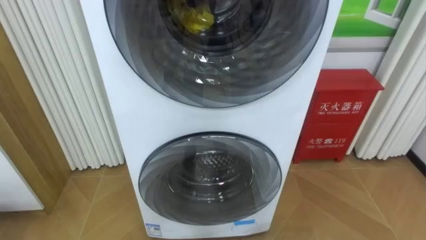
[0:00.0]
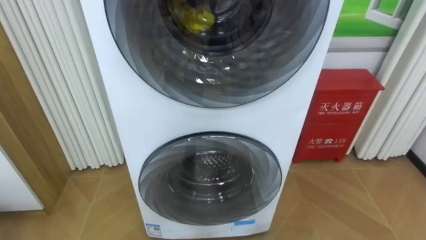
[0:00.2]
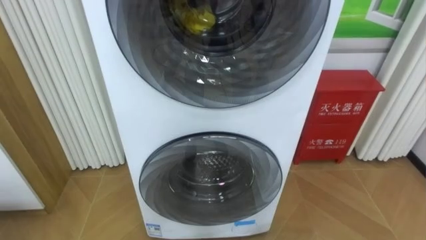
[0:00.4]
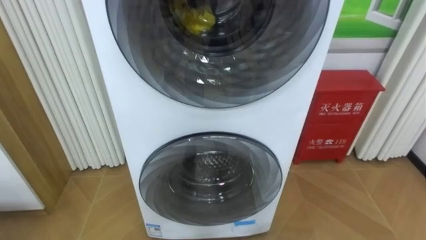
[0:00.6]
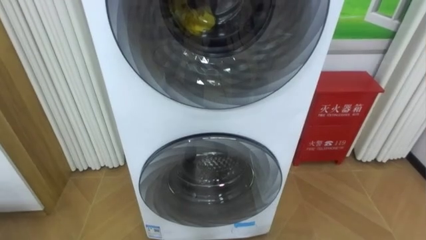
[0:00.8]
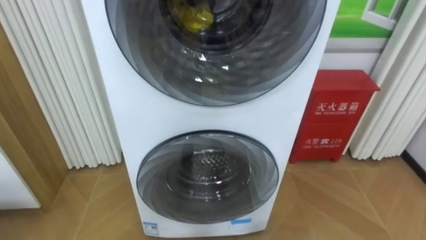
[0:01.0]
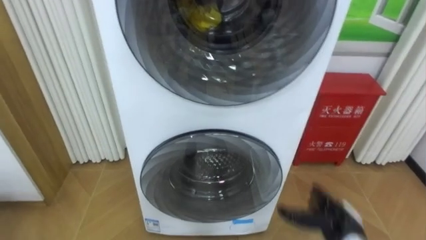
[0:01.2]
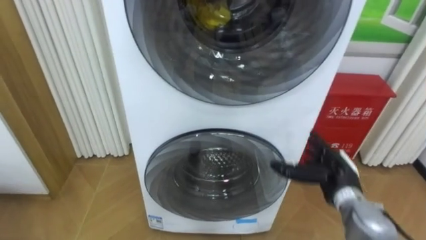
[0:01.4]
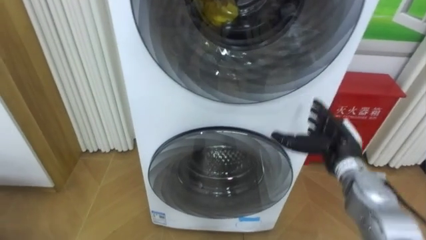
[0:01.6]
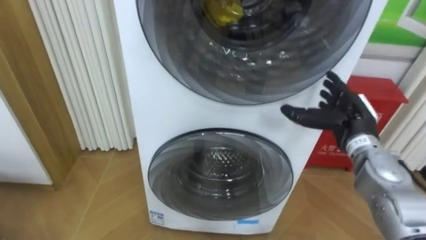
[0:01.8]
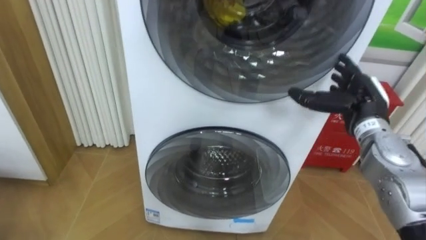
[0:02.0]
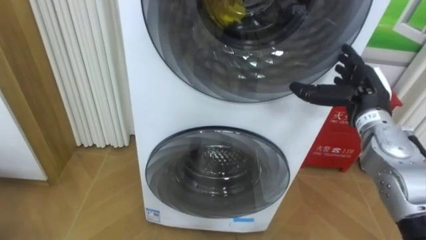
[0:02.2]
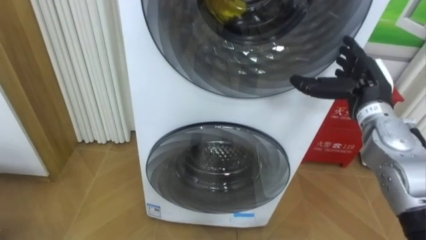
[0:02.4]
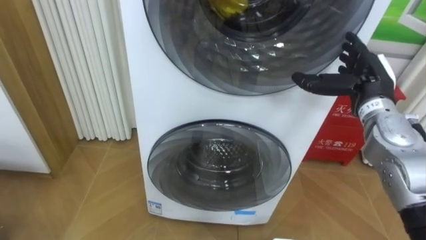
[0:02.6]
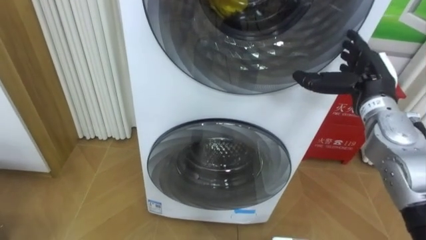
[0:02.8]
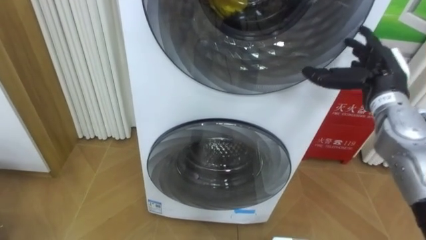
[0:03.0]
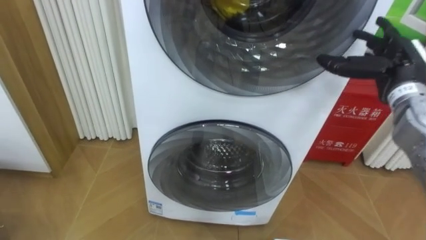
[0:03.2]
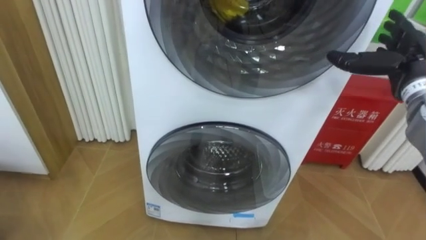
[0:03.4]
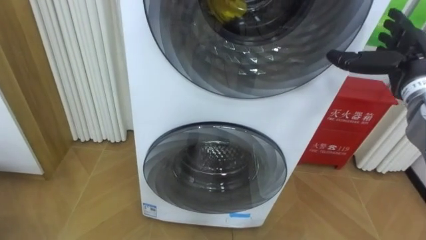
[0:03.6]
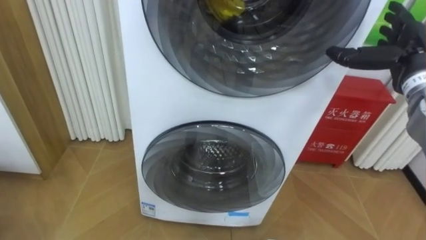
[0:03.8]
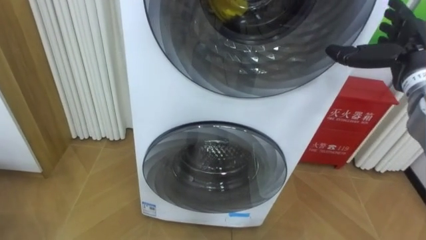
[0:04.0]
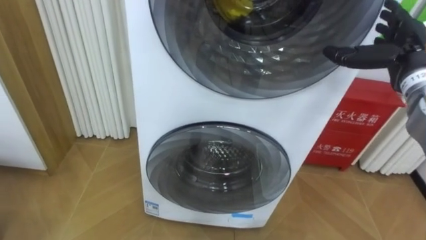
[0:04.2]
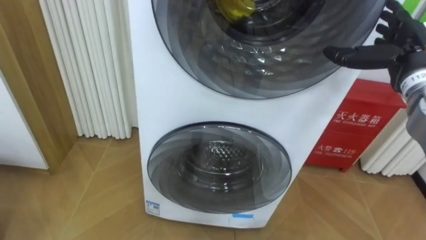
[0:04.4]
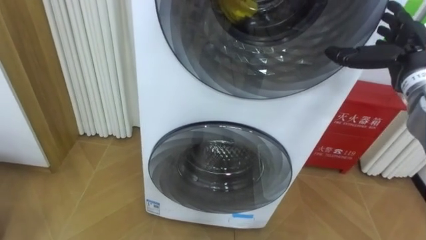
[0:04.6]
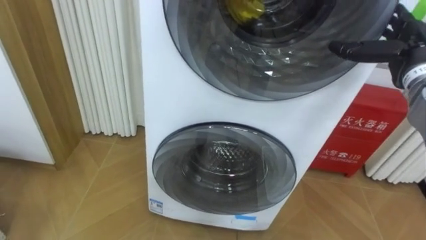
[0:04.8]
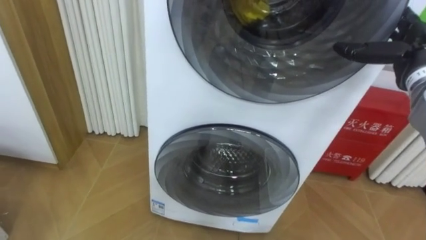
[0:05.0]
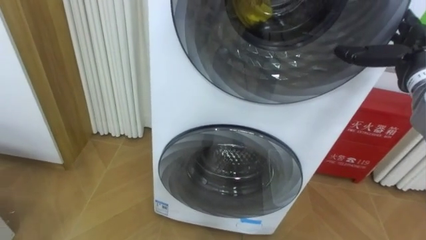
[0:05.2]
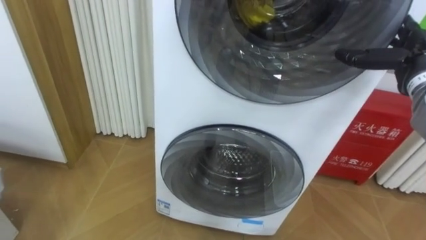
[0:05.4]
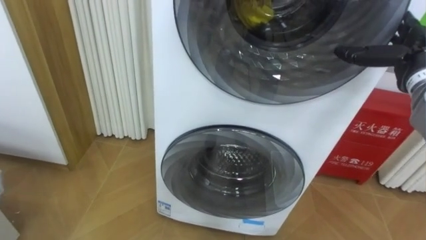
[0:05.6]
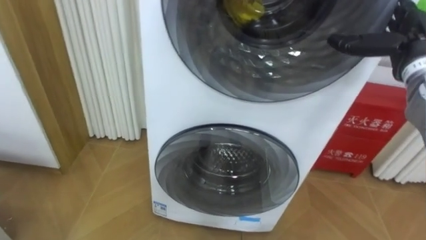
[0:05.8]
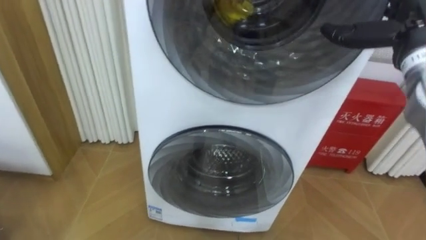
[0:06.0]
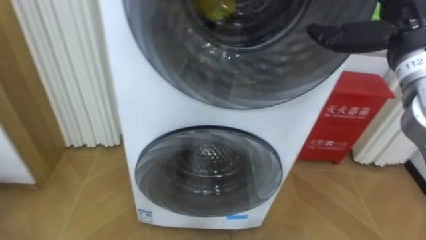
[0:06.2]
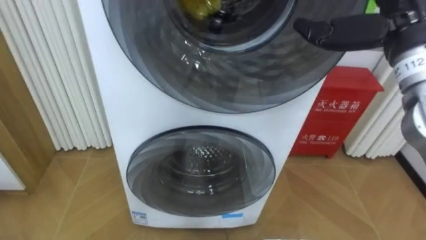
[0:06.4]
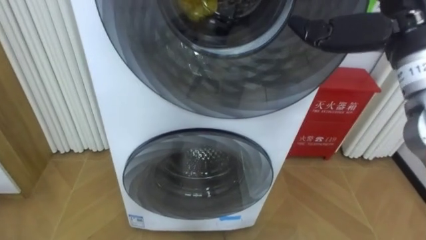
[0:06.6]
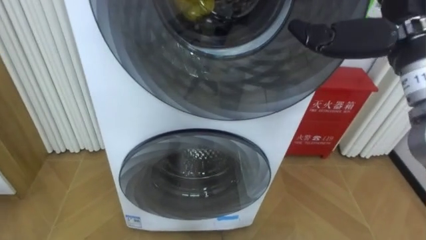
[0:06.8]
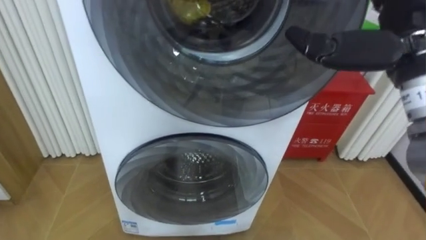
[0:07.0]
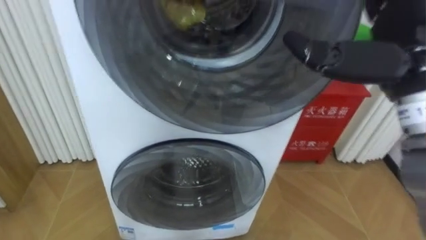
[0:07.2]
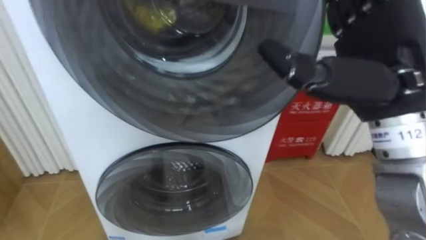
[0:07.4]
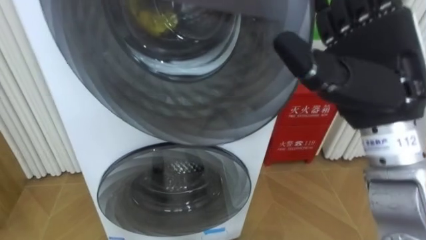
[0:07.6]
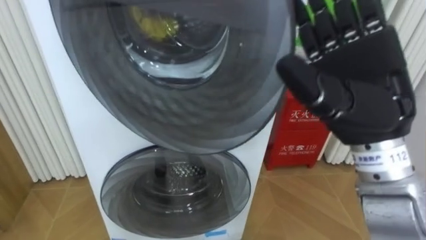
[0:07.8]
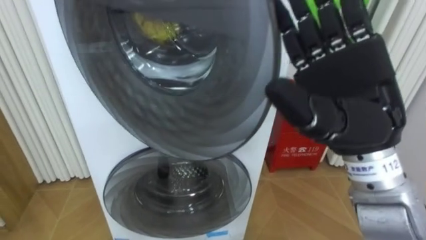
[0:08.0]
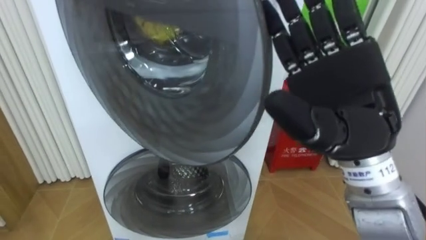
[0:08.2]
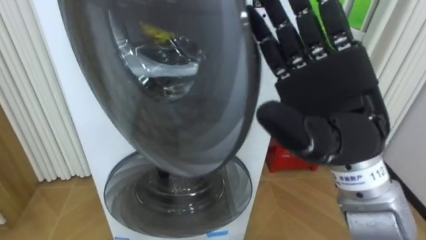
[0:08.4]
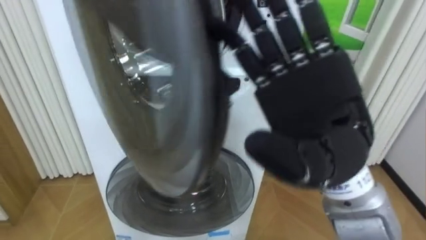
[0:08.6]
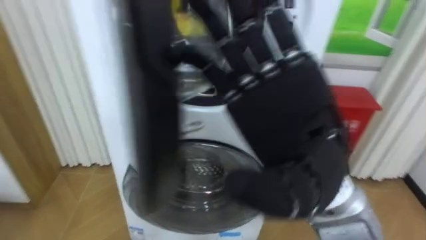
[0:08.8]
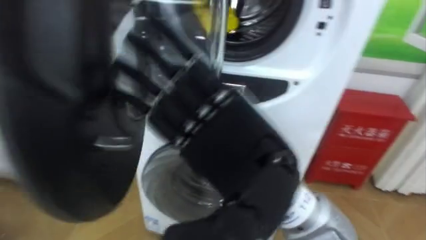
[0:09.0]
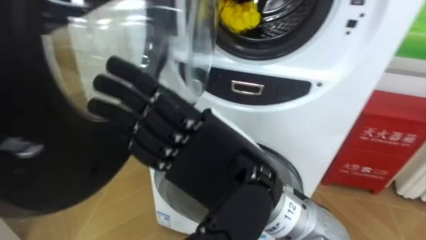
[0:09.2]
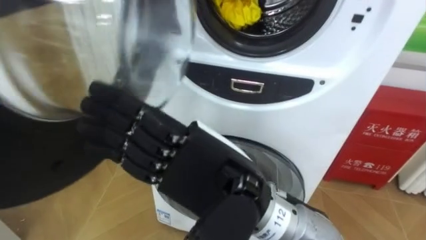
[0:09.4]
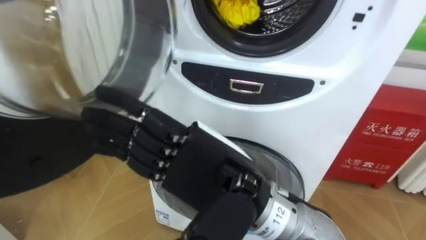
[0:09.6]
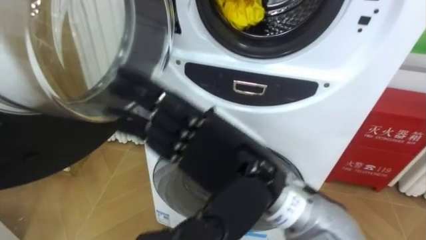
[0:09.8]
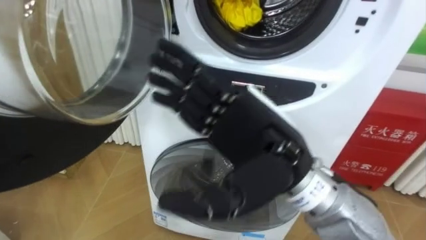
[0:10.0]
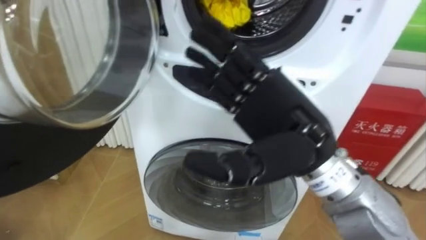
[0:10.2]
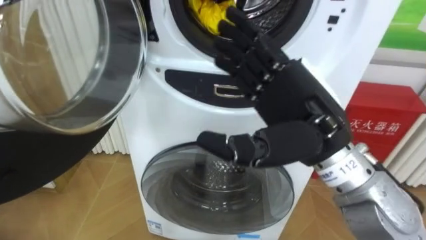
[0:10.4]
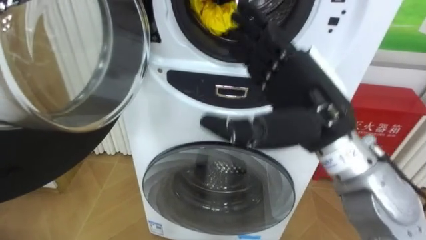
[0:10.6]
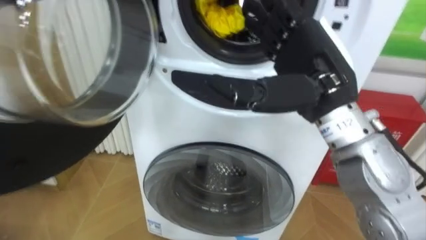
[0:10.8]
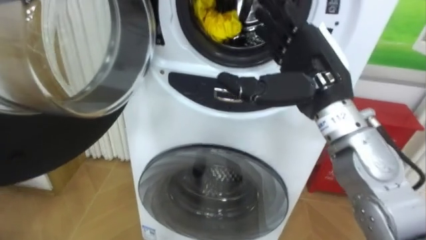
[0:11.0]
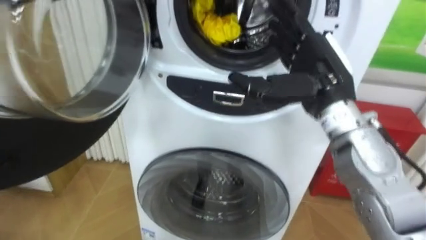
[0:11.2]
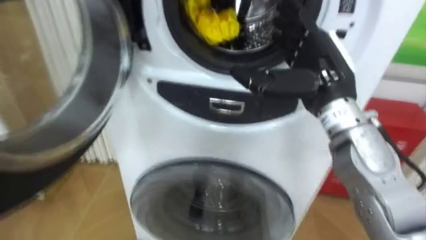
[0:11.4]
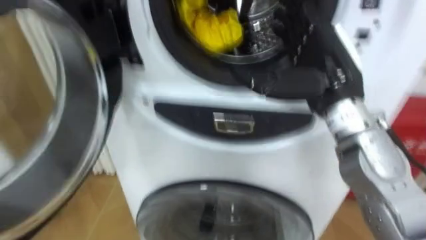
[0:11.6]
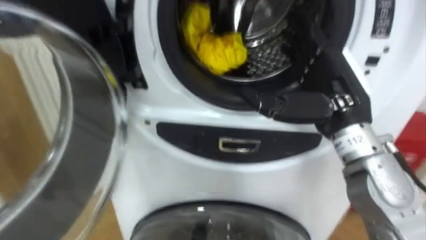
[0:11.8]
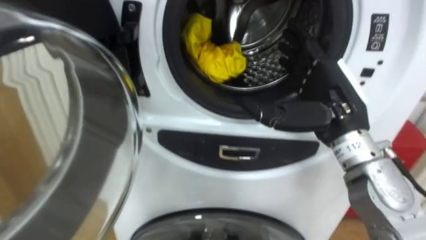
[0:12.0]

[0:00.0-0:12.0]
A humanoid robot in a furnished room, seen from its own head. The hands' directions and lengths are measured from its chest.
Task of the whole recording: Open the washing machine door, take out the yellow clothes, place them in the box on the right, and close the washing machine door.
0:01.6 to 0:03.0: The right hand goes some 15 cm upward.
0:03.0 to 0:04.4: The right hand changes place by approximately 5 cm.
0:06.0 to 0:07.6: The right hand moves backward and to the left, about 15 cm.
0:07.6 to 0:09.0: The right hand shifts some 15 cm to the left and backward.
0:09.0 to 0:10.4: The right hand goes some 10 cm to the right and forward.
0:10.4 to 0:12.0: The right hand goes roughly 10 cm to the right and forward.

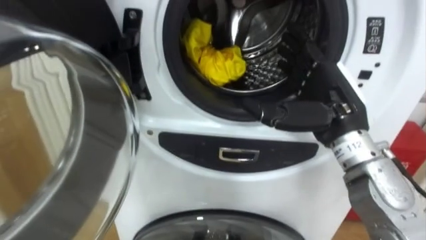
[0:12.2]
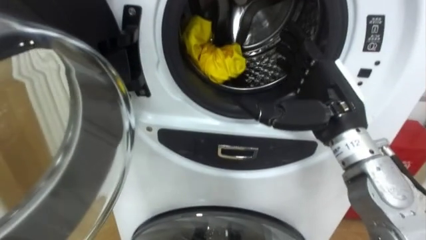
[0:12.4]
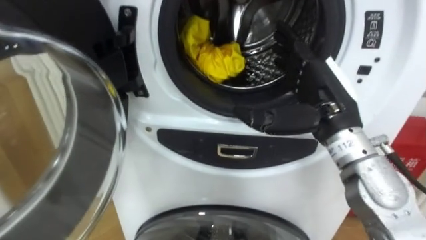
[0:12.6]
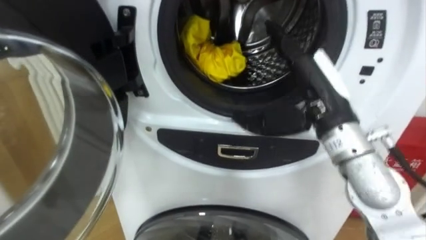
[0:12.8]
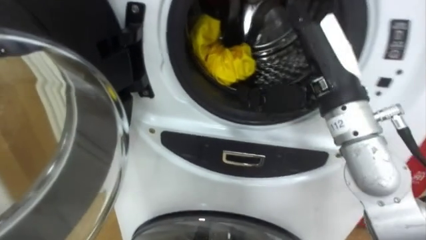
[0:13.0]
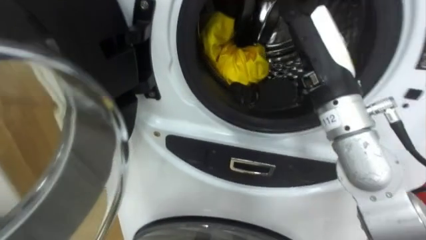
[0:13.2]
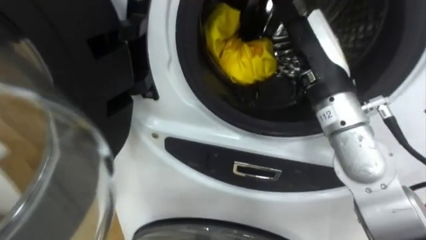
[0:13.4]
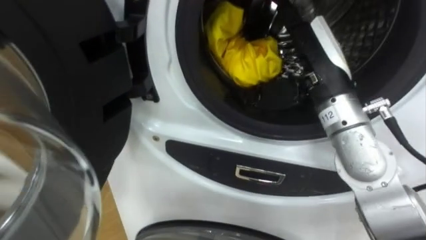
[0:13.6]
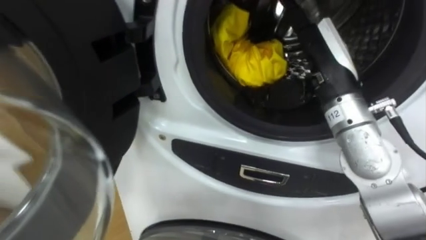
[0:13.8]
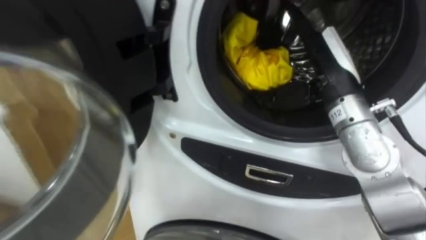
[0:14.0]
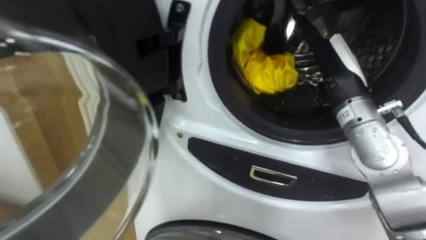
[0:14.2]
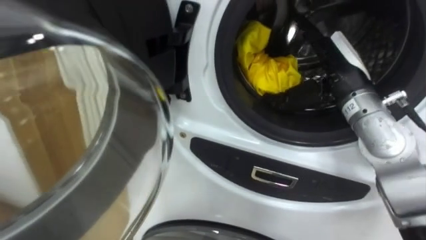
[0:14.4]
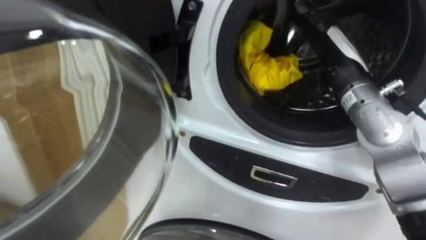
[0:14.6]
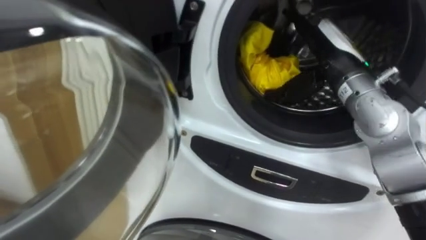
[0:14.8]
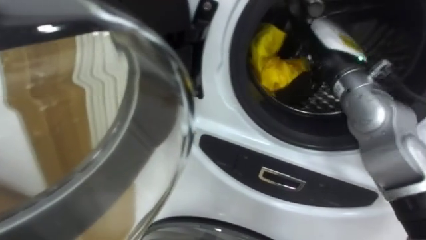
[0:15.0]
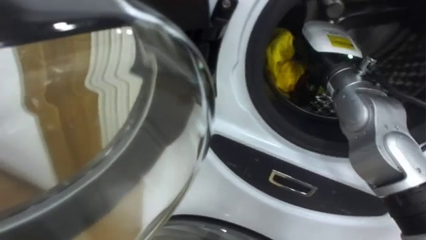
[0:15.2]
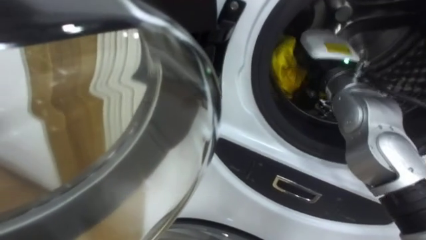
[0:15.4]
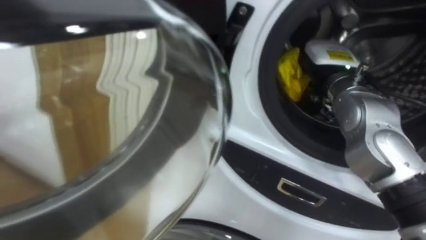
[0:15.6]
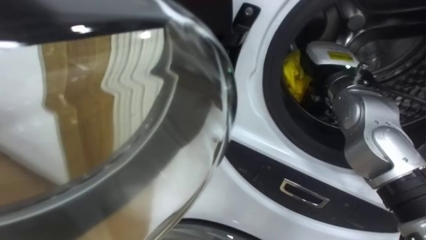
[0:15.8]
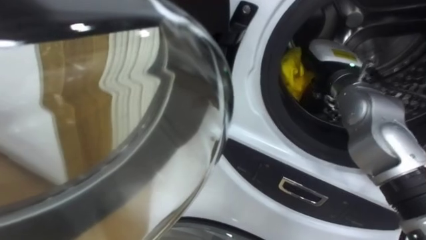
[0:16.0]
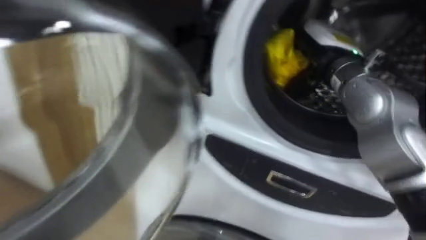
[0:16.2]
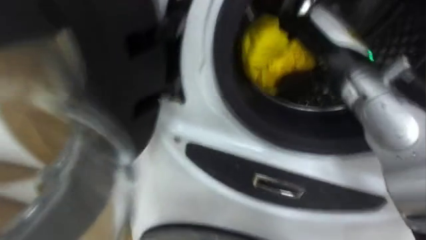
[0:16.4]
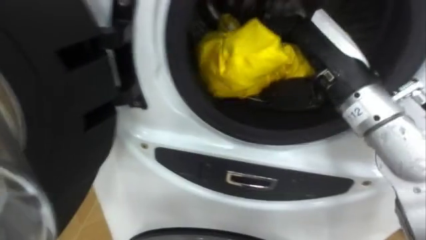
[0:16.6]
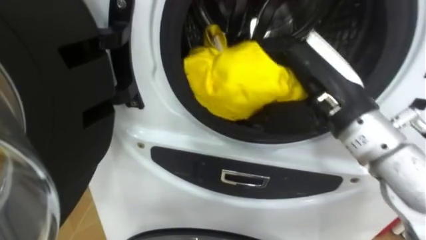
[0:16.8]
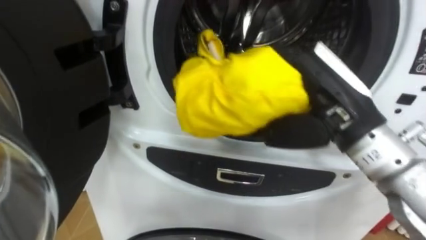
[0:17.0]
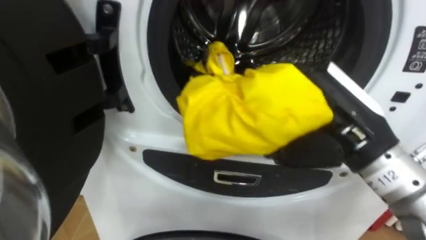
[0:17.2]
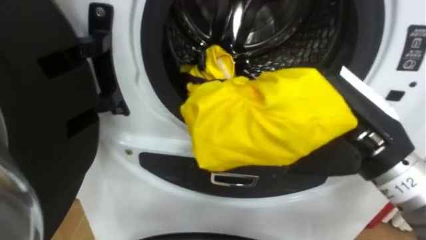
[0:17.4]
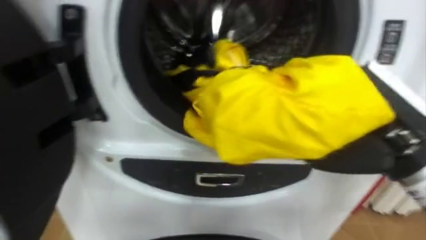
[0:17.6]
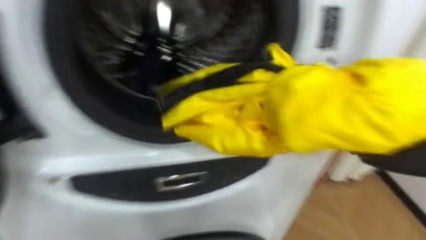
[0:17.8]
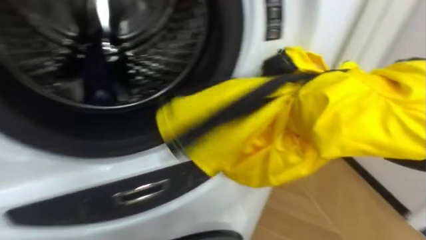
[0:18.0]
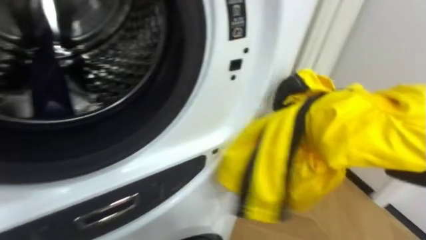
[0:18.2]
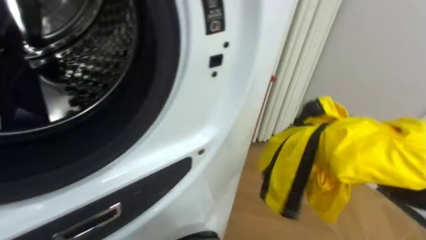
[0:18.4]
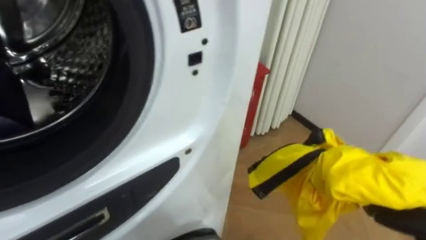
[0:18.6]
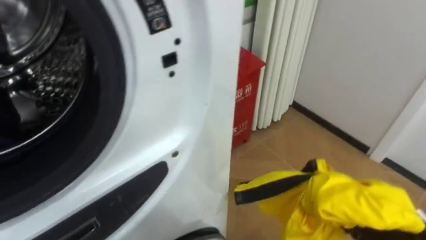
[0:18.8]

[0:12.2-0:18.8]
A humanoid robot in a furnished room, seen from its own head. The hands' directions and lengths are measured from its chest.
Task of the whole recording: Open the washing machine door, take out the yellow clothes, place them in the box on the right, and close the washing machine door.
0:12.2 to 0:13.8: The right hand is displaced upward by some 5 cm.
0:13.8 to 0:15.4: The right hand shifts about 5 cm forward.
0:15.4 to 0:17.2: The right hand heads backward, covering some 15 cm, and closes its fingers.
